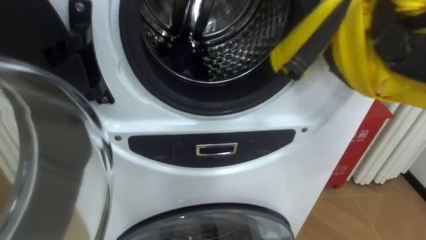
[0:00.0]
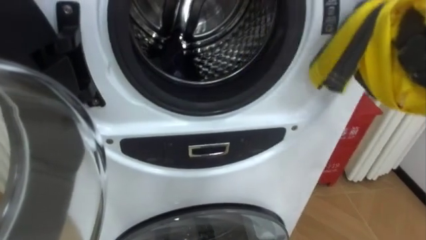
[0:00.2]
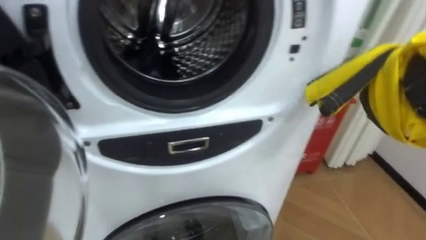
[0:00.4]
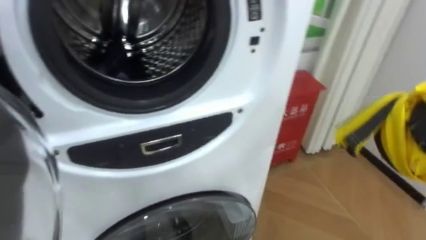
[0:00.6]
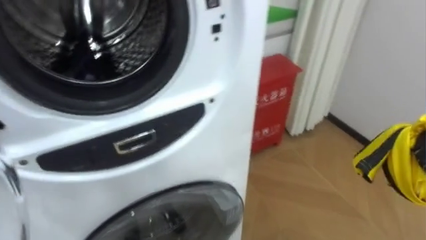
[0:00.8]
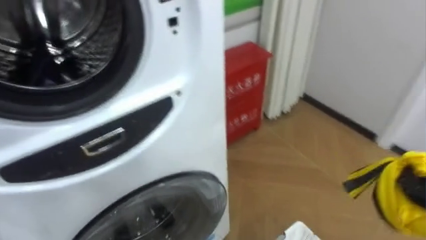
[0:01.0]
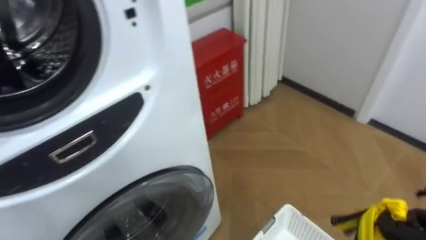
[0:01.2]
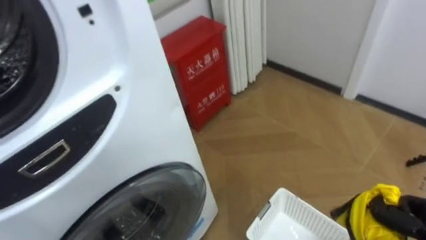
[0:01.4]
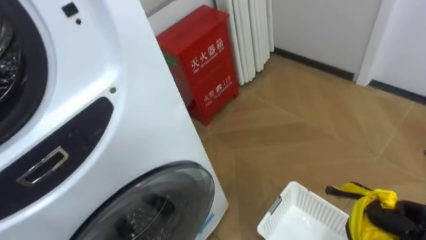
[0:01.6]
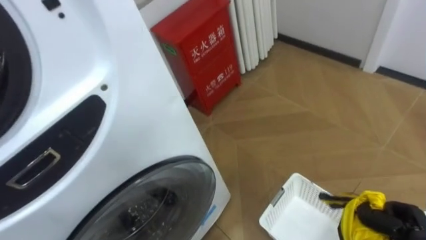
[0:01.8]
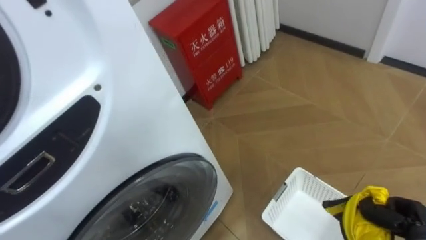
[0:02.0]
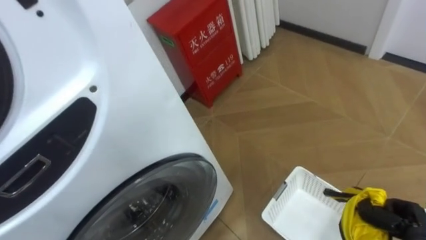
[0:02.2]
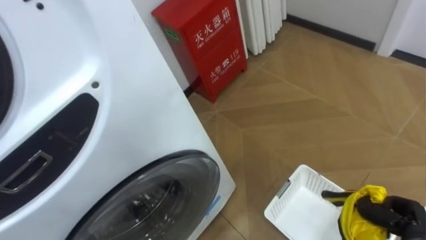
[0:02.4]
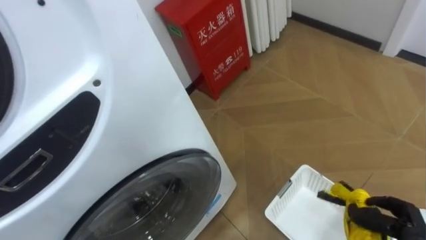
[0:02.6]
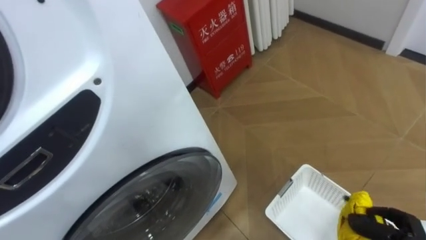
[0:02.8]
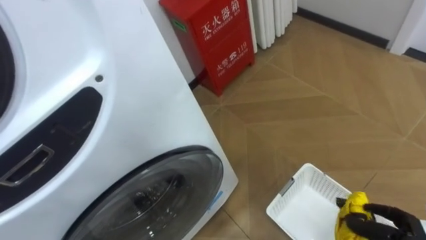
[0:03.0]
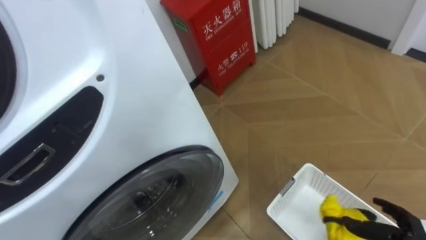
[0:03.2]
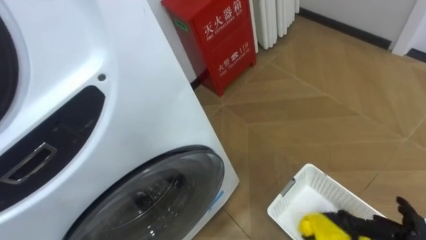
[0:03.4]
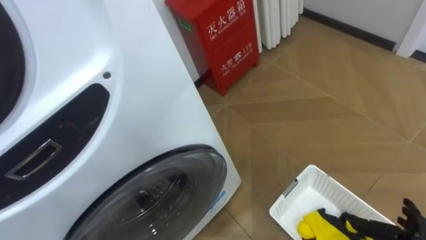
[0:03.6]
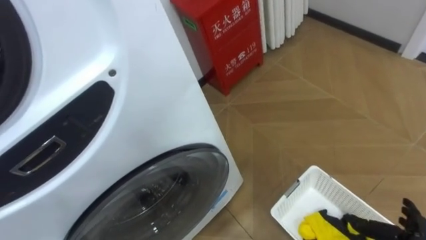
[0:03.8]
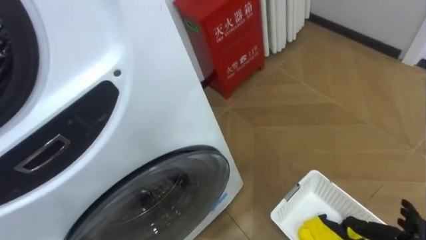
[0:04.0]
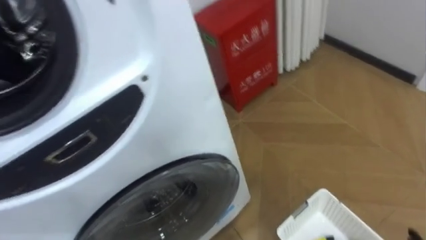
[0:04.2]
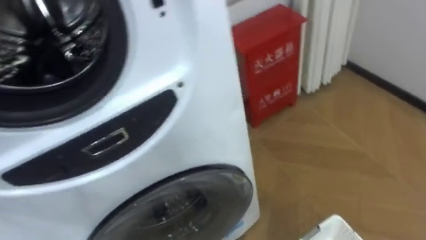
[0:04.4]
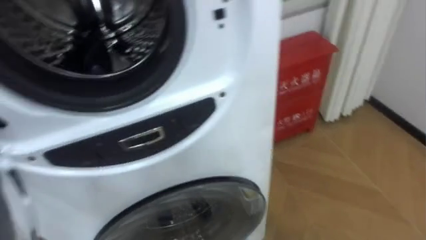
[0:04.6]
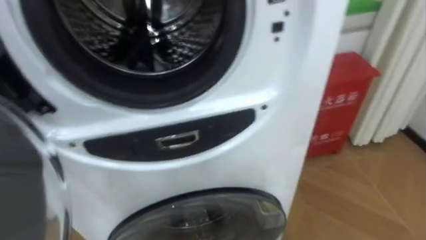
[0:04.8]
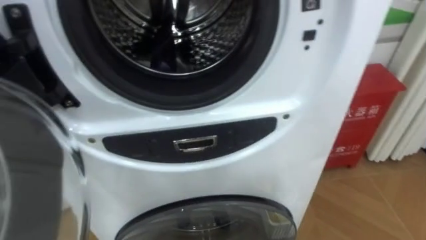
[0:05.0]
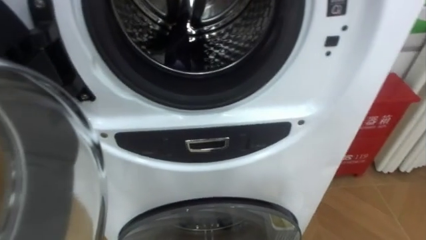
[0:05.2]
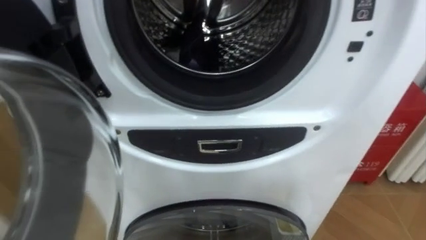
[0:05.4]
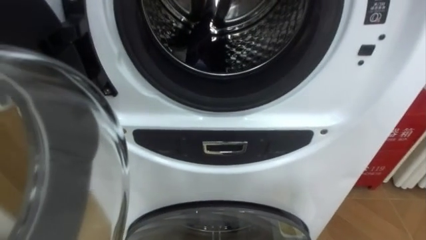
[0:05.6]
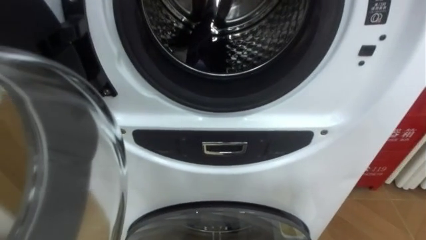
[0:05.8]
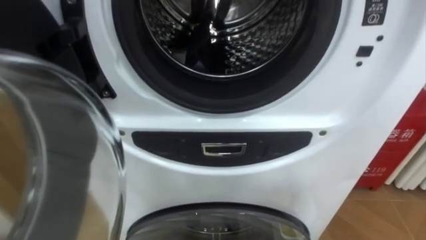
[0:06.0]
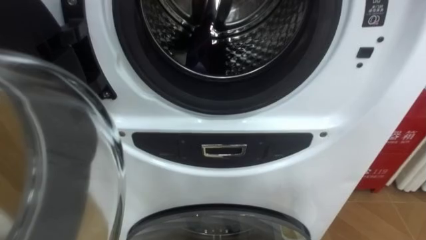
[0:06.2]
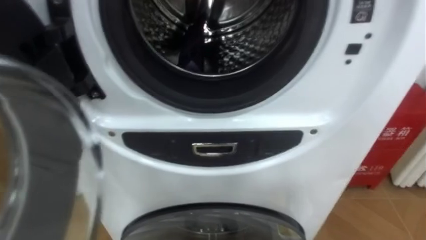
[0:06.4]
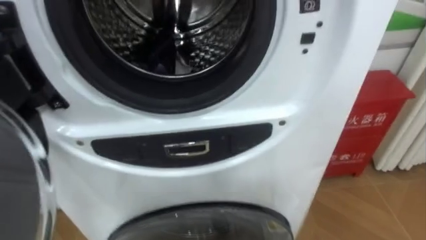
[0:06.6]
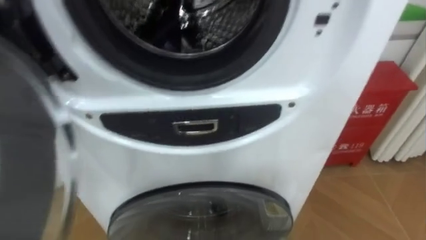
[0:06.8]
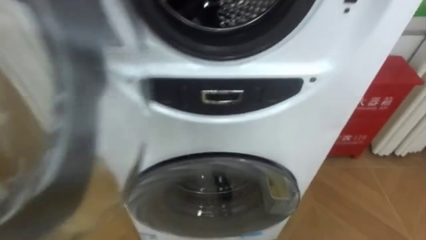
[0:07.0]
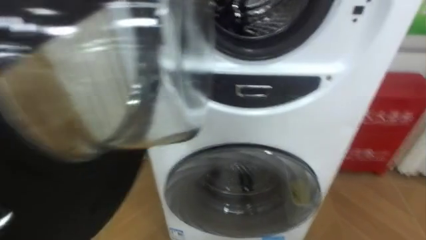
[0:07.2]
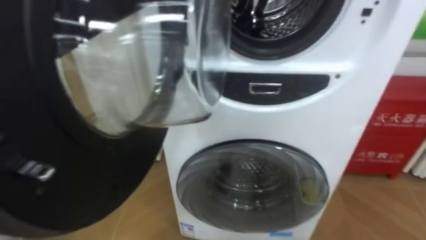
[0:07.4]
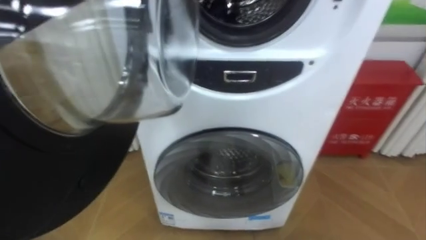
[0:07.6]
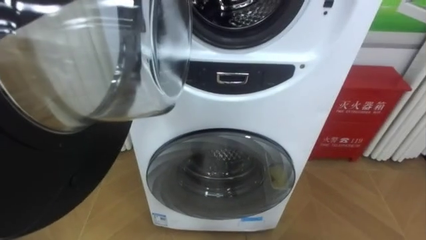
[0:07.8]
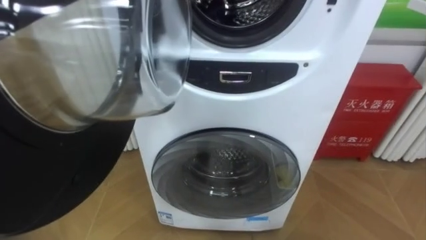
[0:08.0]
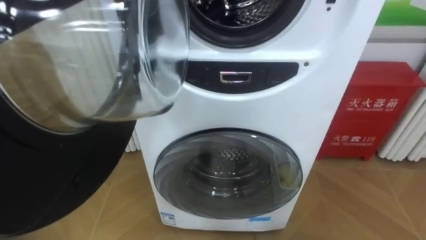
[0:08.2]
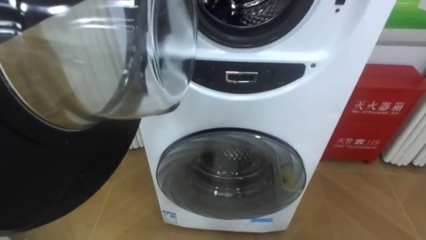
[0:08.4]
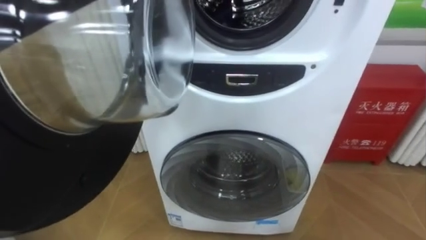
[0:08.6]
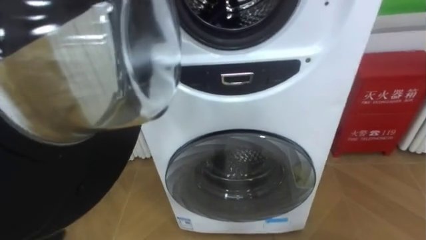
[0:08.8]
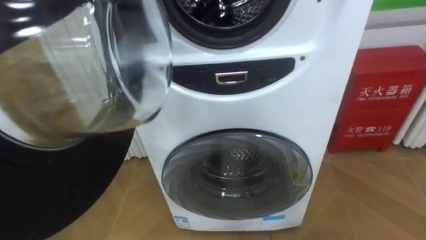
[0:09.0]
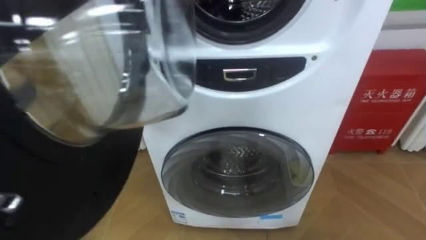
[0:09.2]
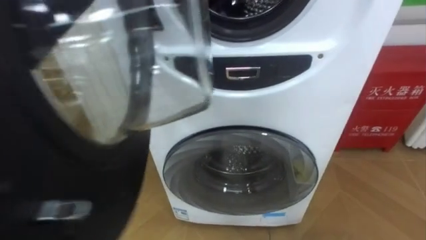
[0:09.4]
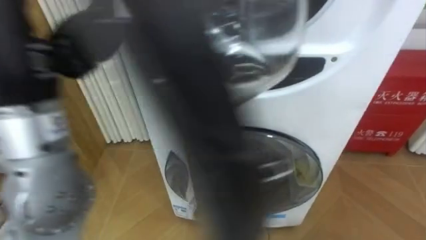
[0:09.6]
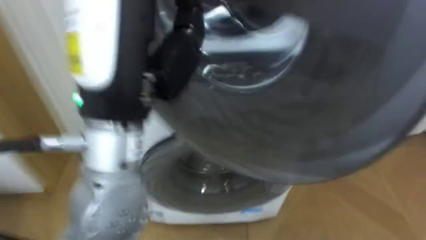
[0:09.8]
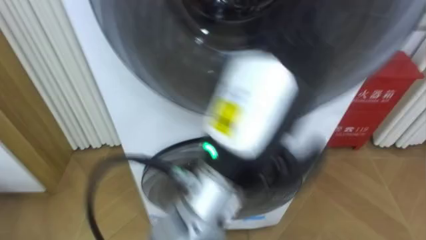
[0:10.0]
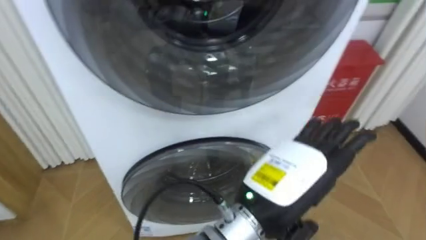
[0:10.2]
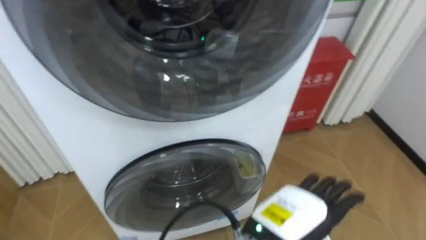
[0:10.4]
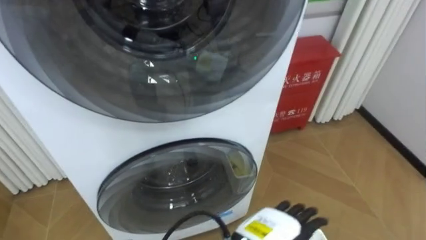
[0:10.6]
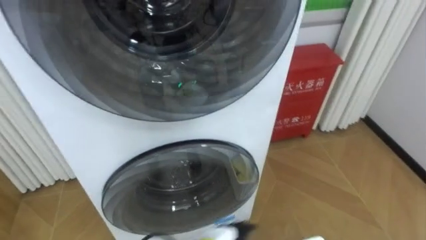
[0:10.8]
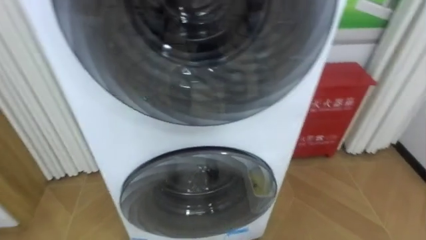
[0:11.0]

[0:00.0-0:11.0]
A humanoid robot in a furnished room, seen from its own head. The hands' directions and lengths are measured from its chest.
Task of the whole recording: Open the washing machine door, take out the yellow clothes, place them in the box on the right, and close the washing machine door.
0:00.0 to 0:01.6: The robot faces roughly 25 degrees further to its right.
0:03.2 to 0:04.8: The robot turns to its left by roughly 20 degrees.

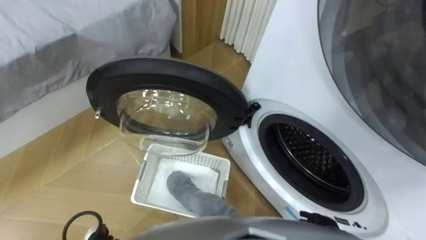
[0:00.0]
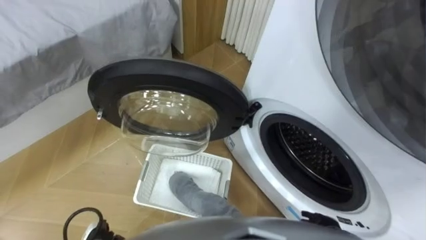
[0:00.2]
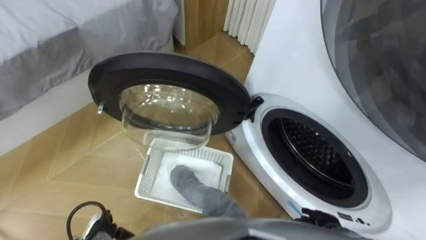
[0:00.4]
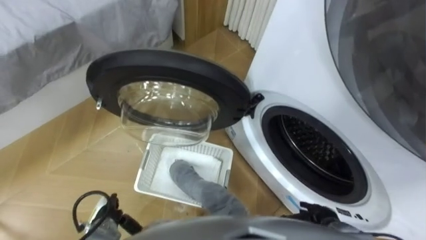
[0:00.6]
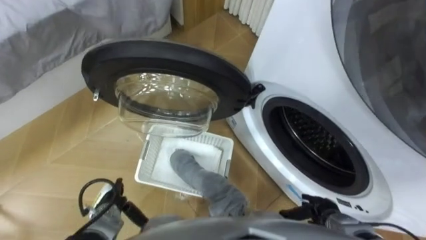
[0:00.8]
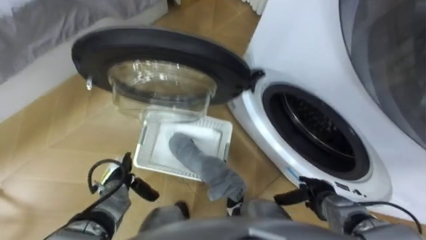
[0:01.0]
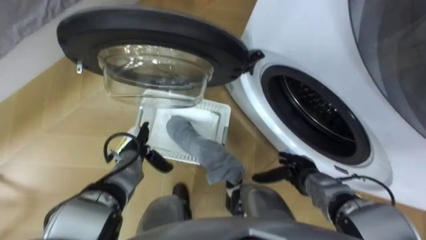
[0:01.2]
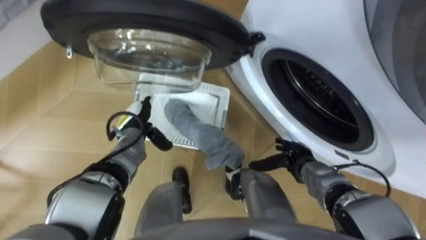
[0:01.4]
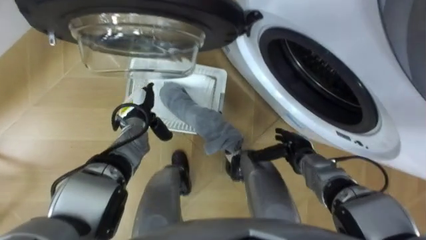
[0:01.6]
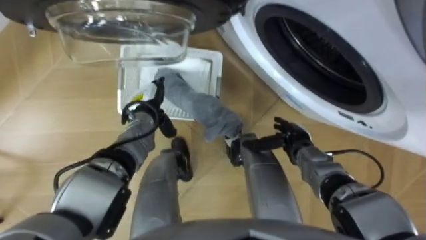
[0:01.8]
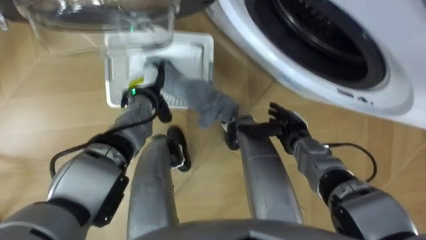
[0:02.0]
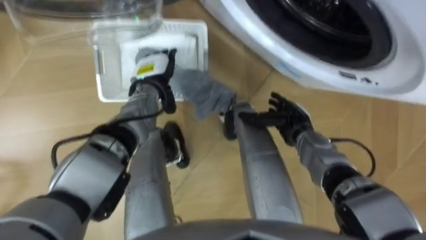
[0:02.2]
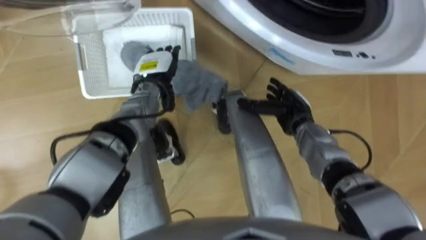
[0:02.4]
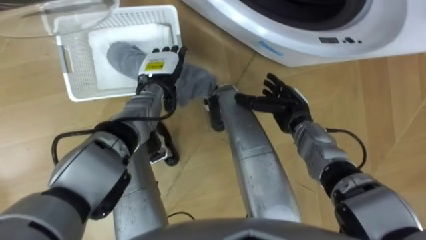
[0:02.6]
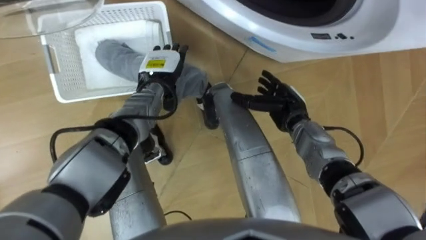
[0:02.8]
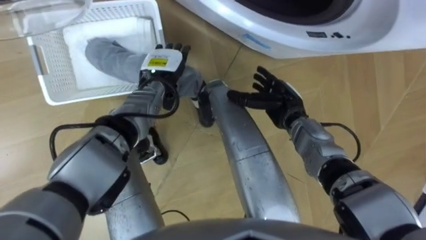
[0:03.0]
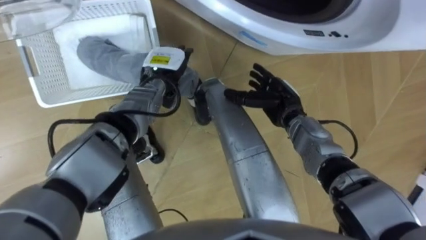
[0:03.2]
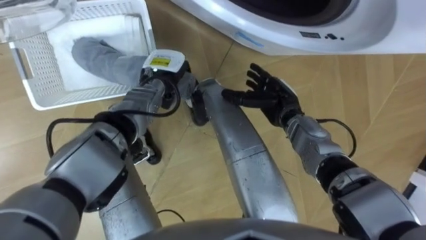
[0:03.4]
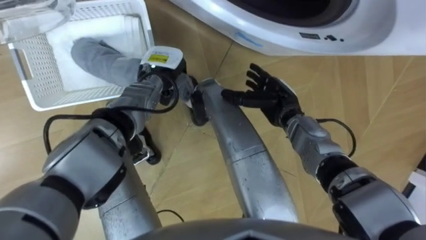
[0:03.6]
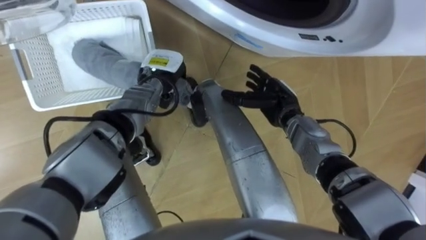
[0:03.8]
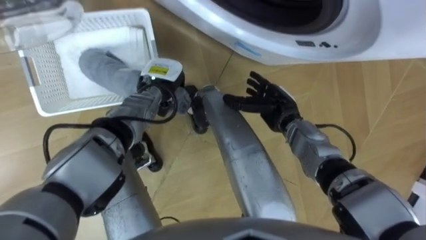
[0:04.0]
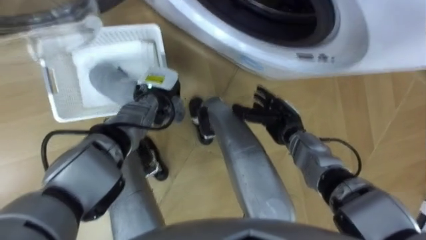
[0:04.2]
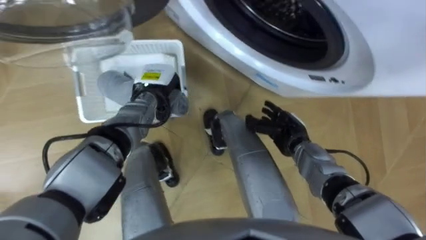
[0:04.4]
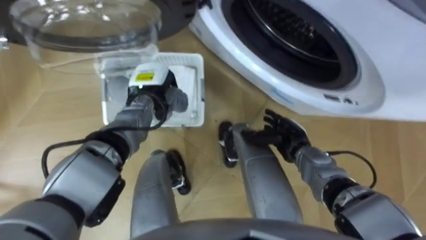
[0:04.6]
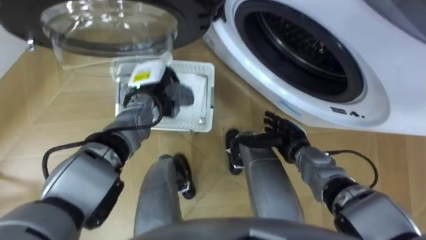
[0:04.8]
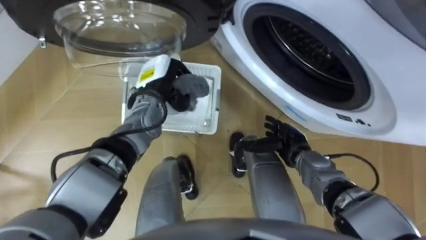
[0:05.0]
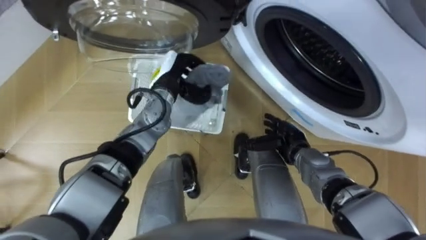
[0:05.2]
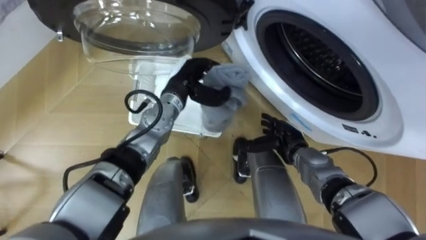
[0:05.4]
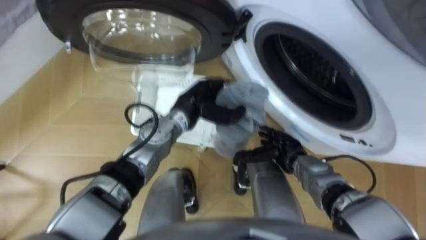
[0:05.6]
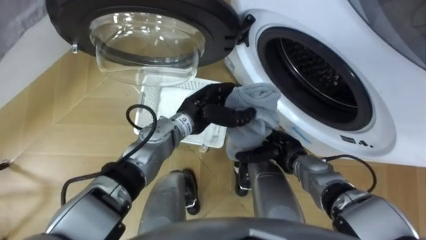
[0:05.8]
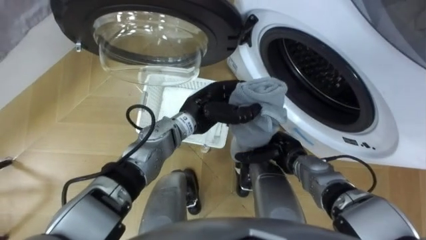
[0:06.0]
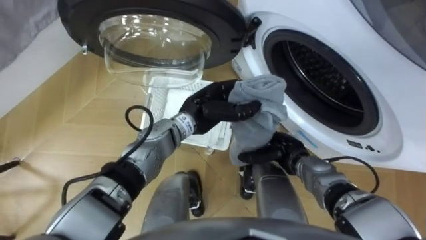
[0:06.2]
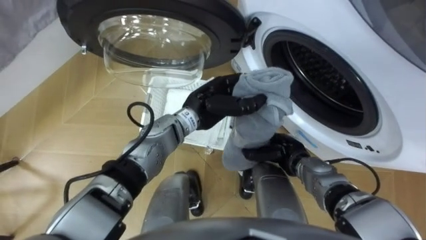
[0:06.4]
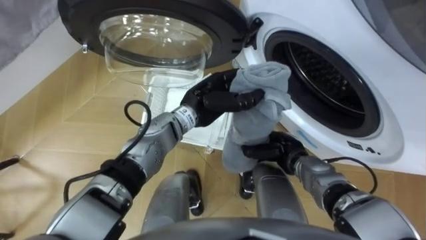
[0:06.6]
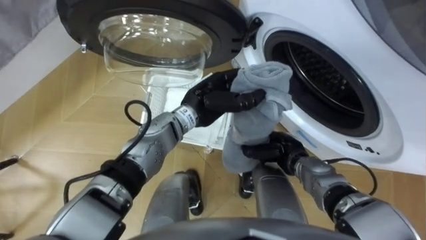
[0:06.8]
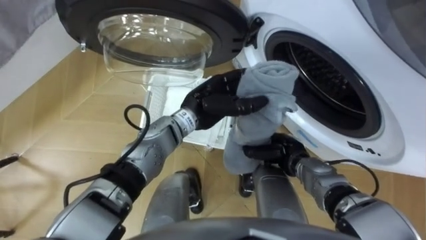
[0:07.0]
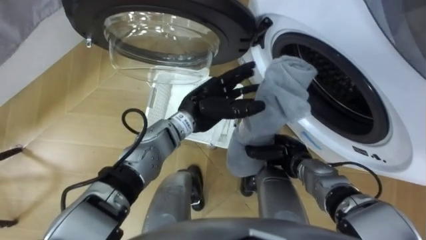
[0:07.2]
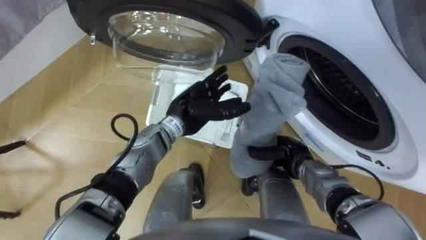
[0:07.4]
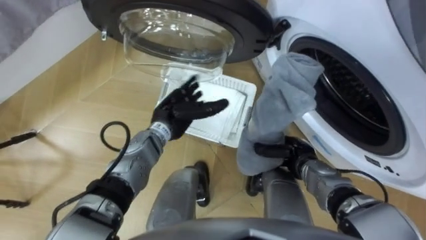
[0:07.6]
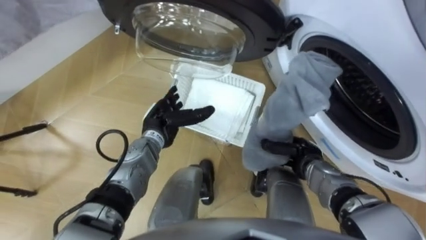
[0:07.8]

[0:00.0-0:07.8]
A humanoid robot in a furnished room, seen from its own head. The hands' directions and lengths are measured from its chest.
Task of the whole recording: Take the towel from the basket and put it into the washing machine.
0:01.6 to 0:03.2: The right hand heads forward, upward and to the left, covering approximately 15 cm, while the left hand shifts about 10 cm to the right, upward and forward.
0:03.2 to 0:04.6: The right hand moves backward and downward, some 10 cm. The left hand moves approximately 5 cm, and closes its fingers.
0:04.6 to 0:06.2: The left hand goes roughly 15 cm to the right and backward.
0:06.2 to 0:07.8: The left hand goes approximately 10 cm to the left and downward, and opens up. The right hand closes.
